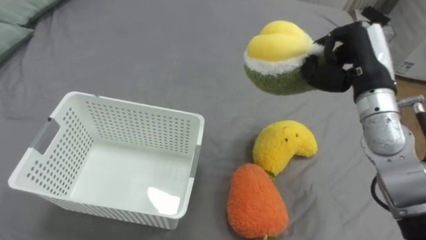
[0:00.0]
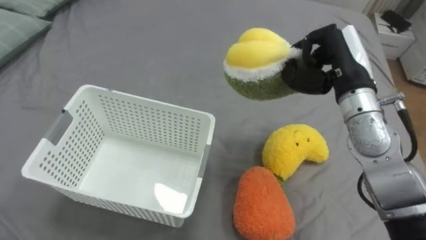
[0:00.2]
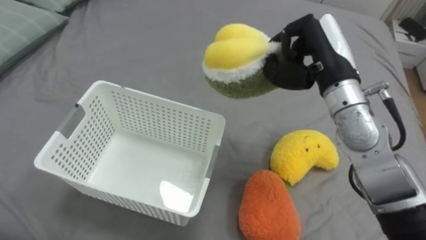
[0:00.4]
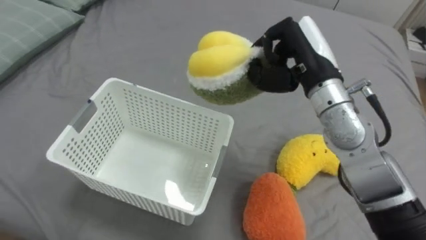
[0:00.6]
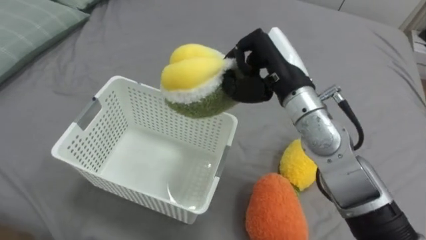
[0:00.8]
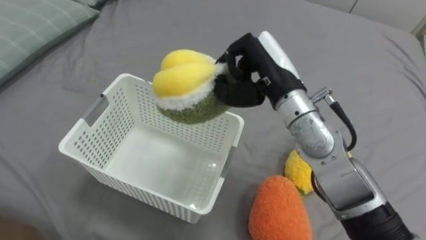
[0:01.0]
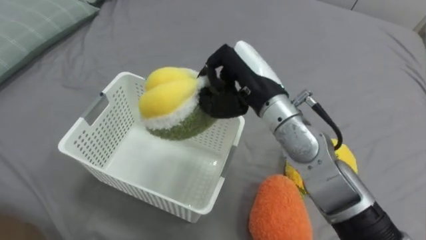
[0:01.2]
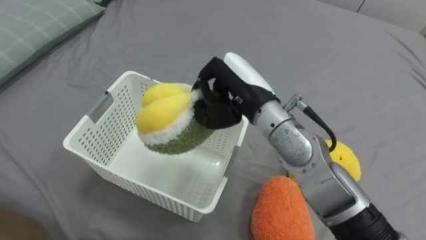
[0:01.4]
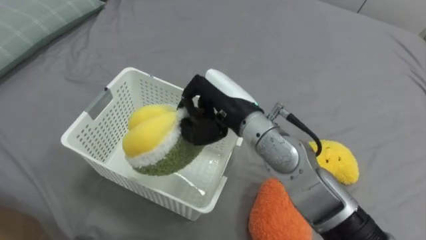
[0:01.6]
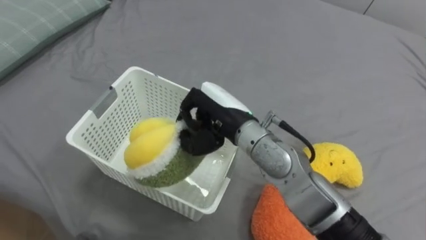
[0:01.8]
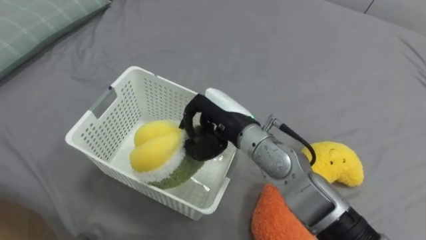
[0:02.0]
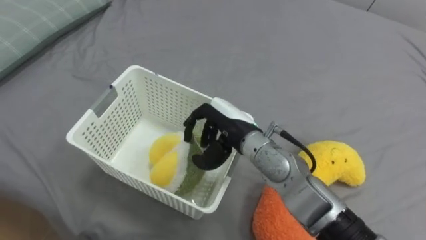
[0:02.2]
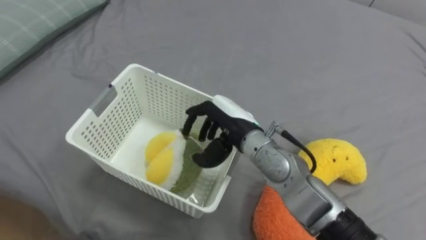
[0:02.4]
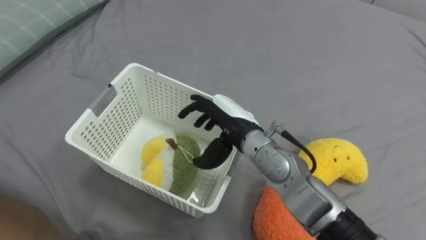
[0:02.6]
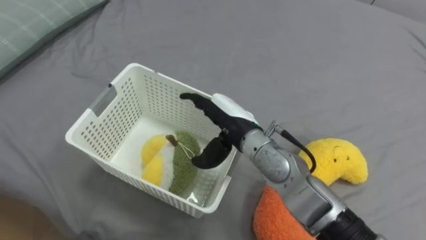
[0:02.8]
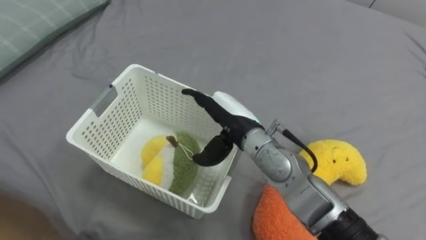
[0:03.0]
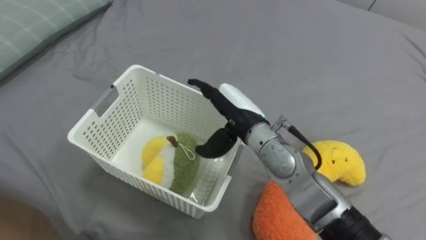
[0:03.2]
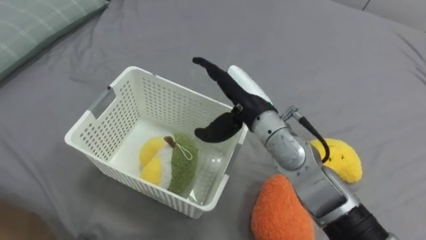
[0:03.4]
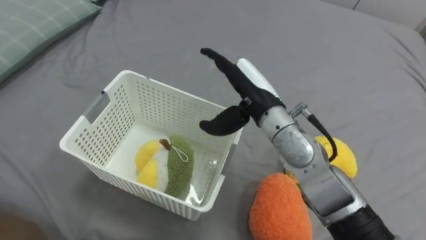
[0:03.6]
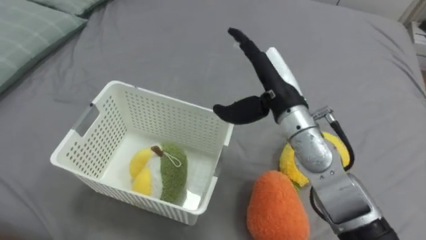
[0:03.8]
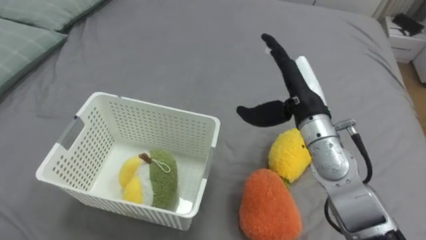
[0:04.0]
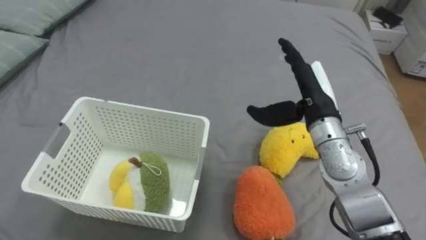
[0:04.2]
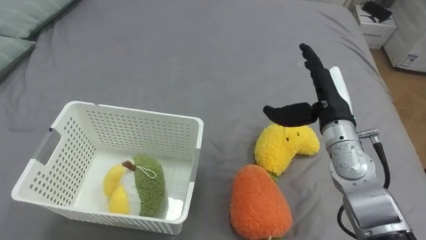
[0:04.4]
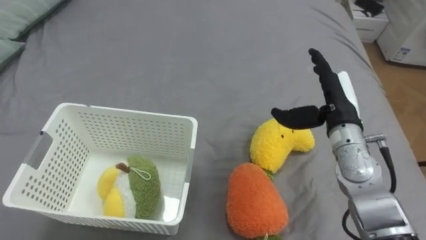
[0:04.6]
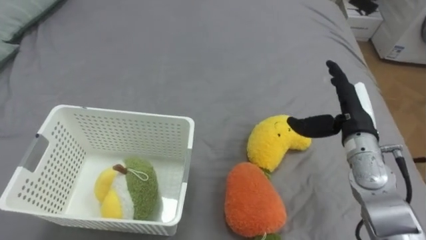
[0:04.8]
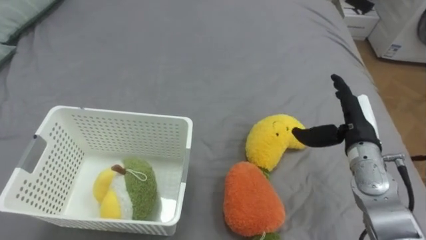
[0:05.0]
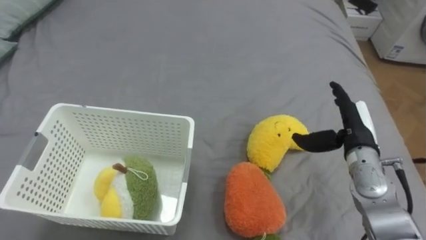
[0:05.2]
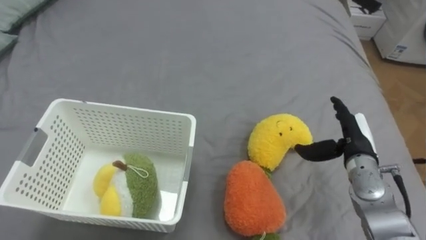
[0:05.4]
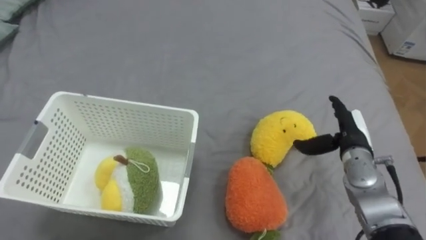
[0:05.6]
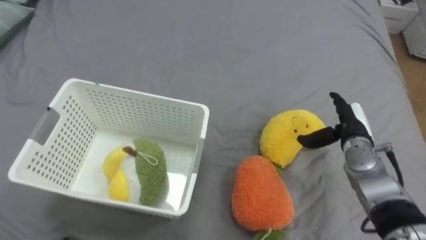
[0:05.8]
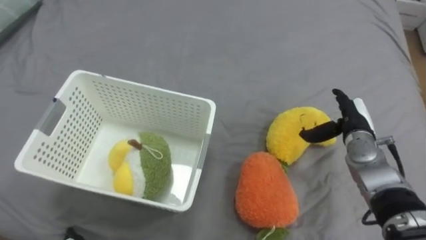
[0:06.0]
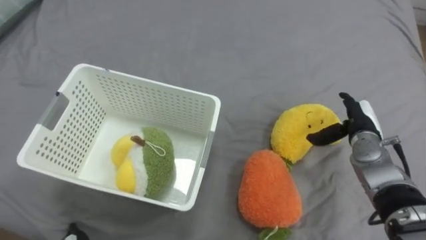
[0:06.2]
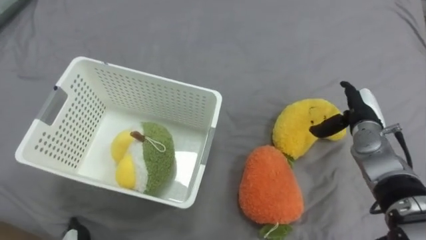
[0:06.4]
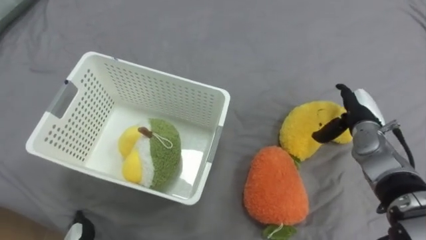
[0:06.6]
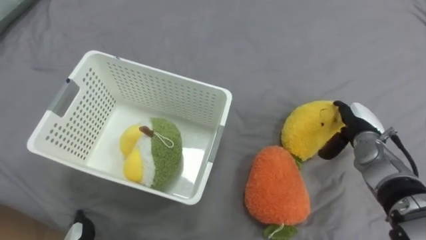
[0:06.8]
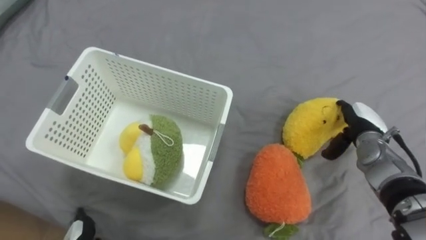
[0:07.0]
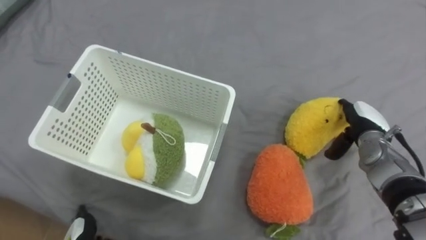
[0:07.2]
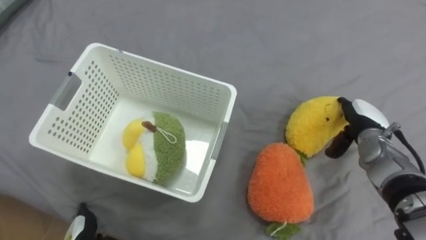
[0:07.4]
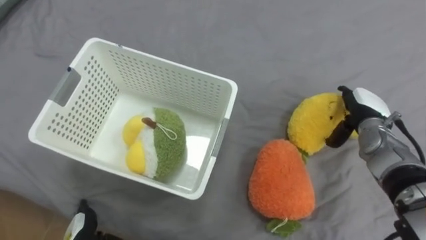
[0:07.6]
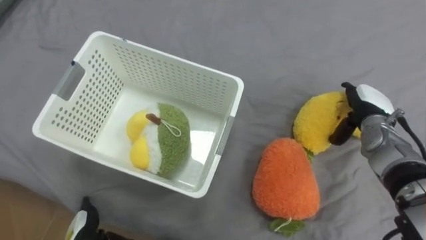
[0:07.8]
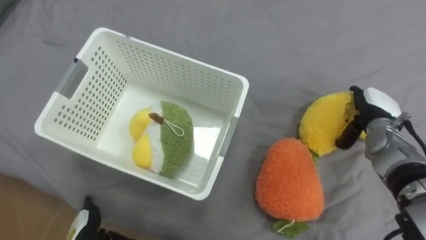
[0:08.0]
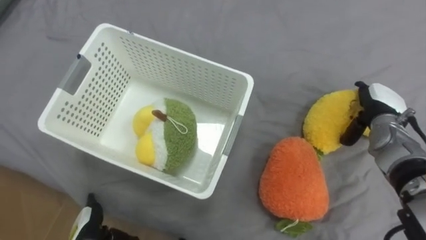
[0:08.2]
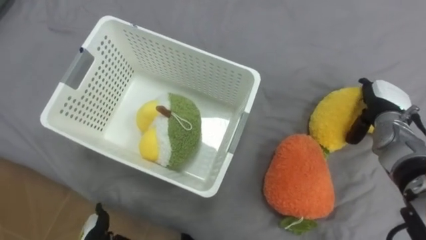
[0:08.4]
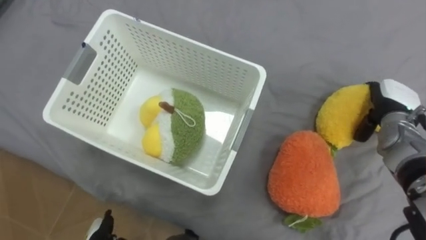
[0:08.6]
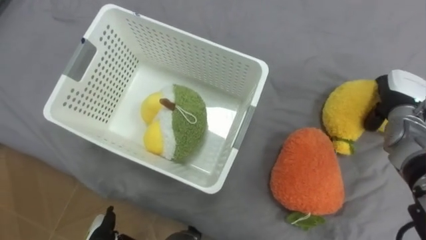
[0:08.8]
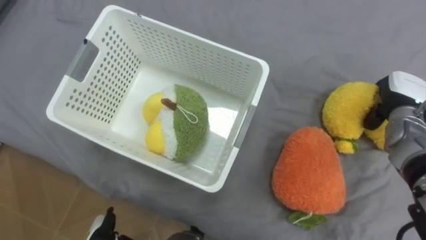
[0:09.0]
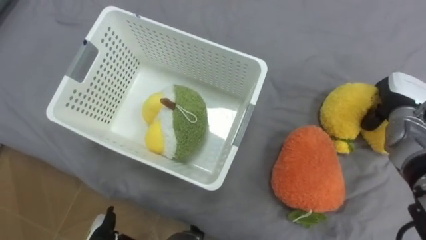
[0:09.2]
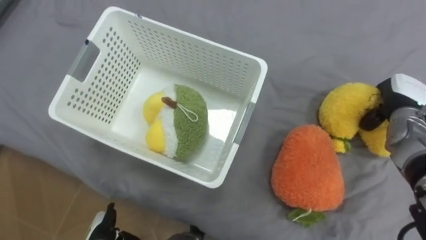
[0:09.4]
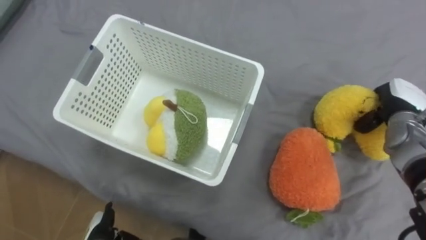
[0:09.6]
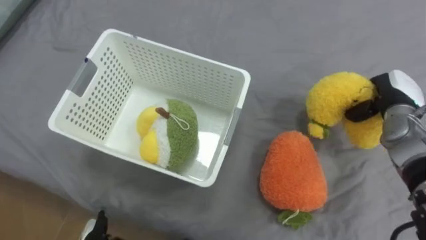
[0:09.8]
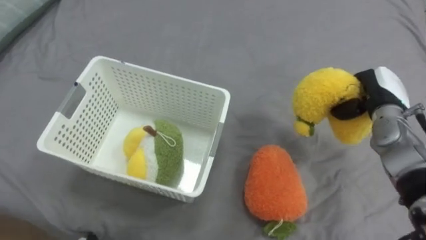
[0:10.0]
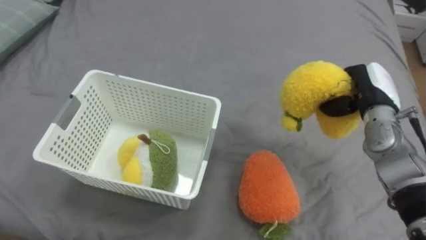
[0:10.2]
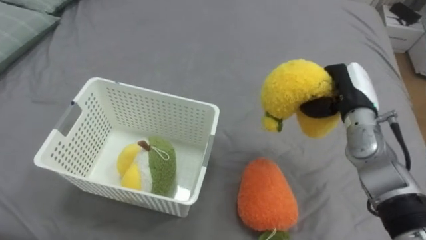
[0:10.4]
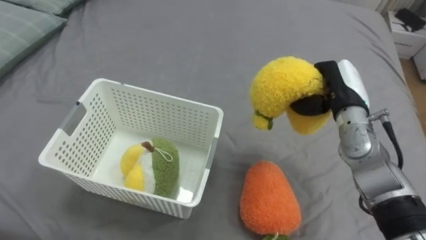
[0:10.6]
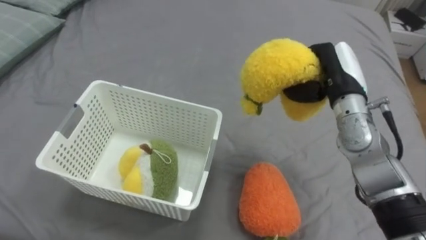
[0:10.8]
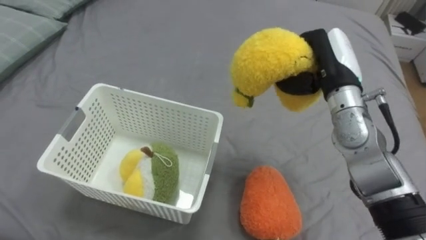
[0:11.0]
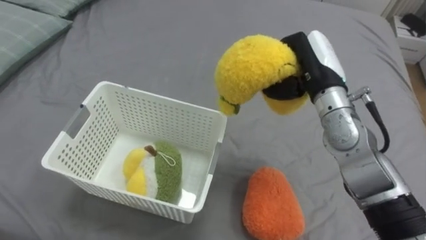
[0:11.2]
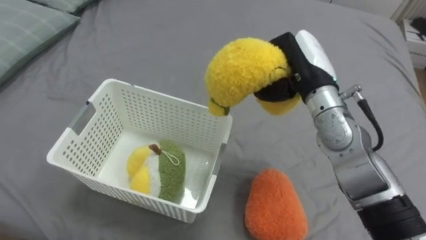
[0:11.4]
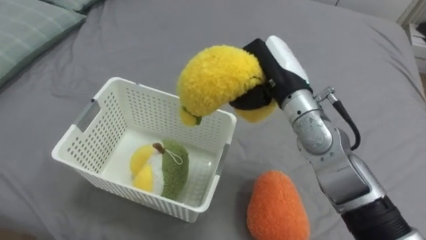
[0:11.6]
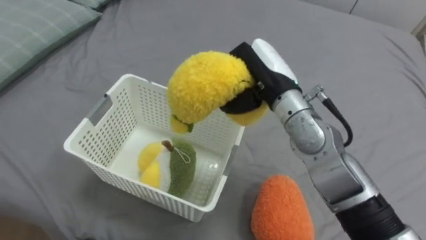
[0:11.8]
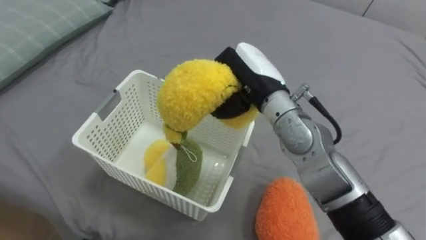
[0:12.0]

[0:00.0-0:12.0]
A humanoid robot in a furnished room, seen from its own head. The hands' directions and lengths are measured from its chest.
Task of the whole recording: Put the toys on the bed into the basket on the left.
0:00.0 to 0:01.6: The right hand shifts approximately 20 cm to the left.
0:01.6 to 0:03.0: The right hand shifts about 5 cm downward, and opens its fingers.
0:03.0 to 0:04.4: The right hand travels to the right by approximately 15 cm.
0:04.4 to 0:06.0: The right hand goes approximately 15 cm downward and to the right.
0:07.6 to 0:09.0: The right hand goes some 5 cm to the right, and closes up.
0:09.0 to 0:10.4: The right hand travels to the left by roughly 10 cm.
0:10.4 to 0:12.0: The right hand is displaced to the left by some 20 cm.

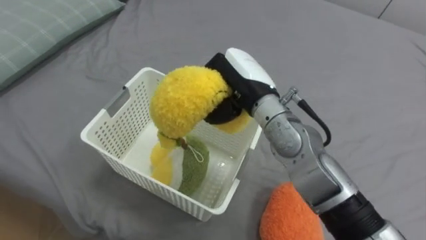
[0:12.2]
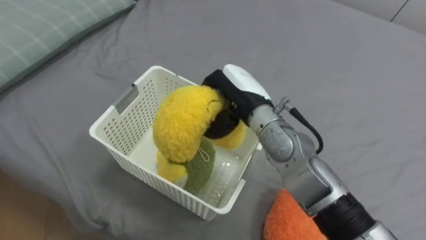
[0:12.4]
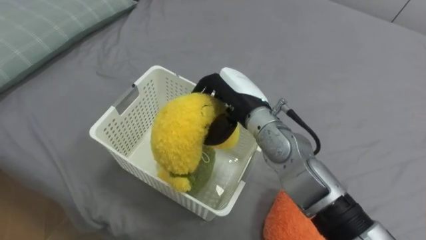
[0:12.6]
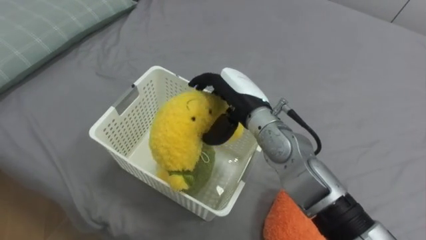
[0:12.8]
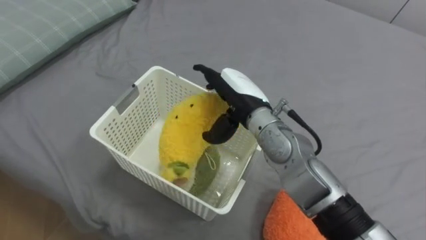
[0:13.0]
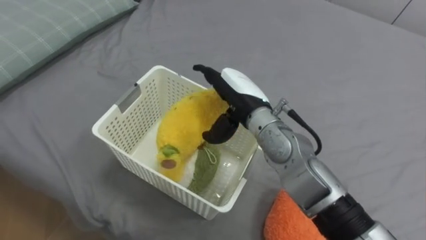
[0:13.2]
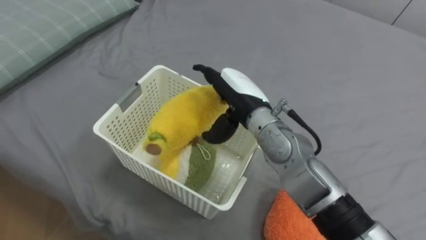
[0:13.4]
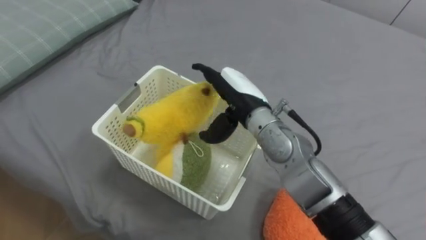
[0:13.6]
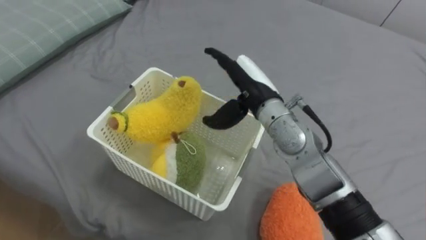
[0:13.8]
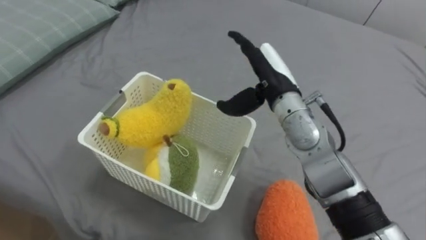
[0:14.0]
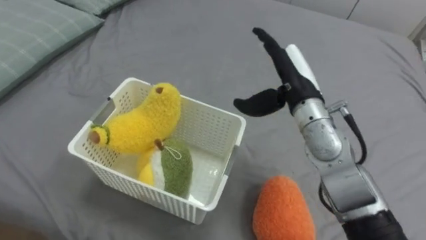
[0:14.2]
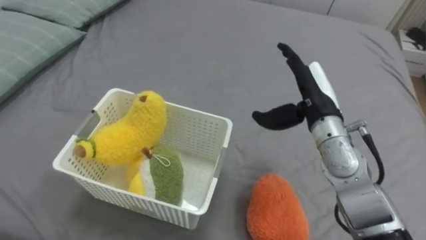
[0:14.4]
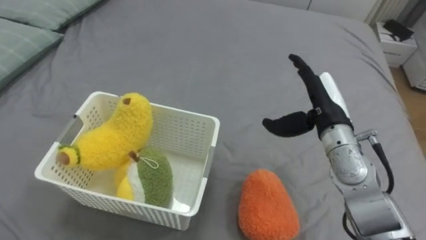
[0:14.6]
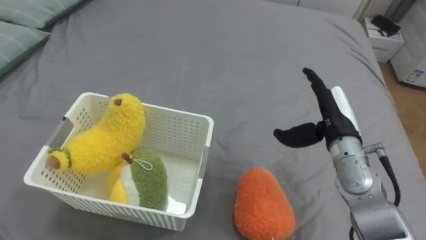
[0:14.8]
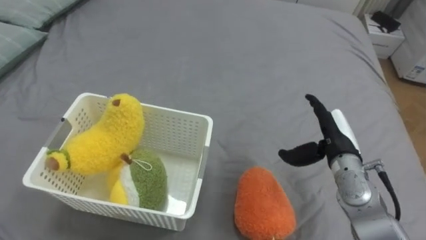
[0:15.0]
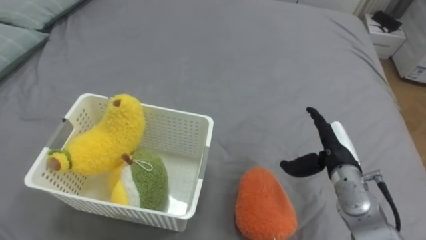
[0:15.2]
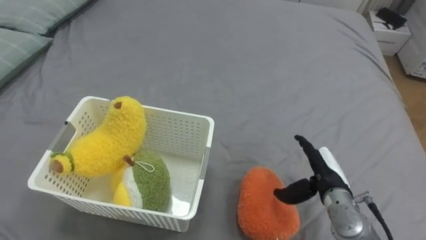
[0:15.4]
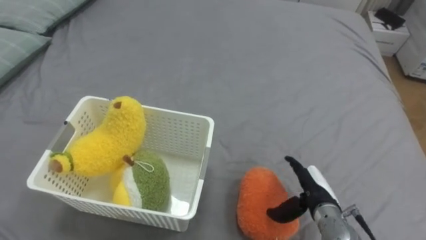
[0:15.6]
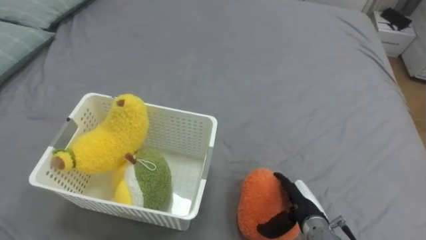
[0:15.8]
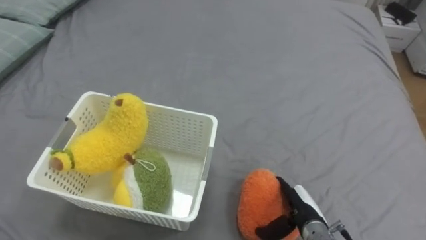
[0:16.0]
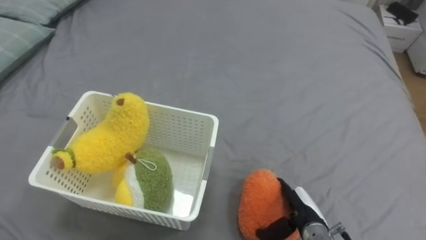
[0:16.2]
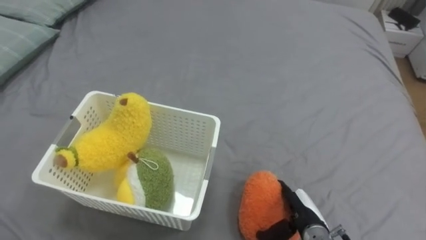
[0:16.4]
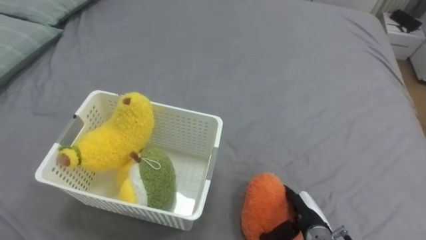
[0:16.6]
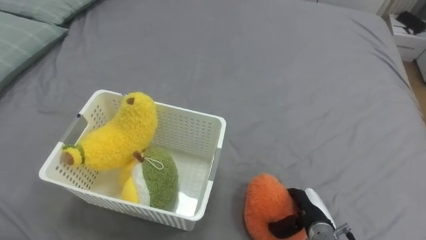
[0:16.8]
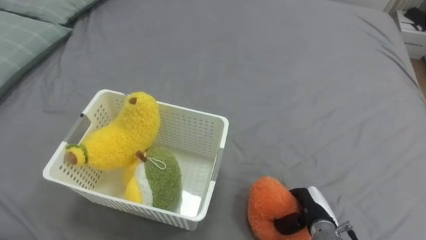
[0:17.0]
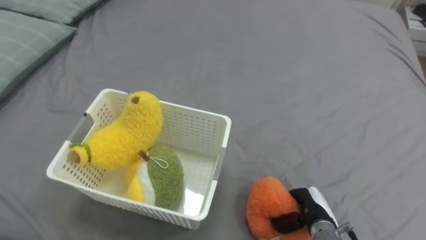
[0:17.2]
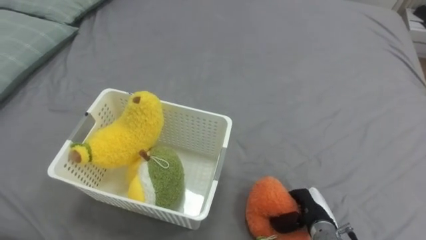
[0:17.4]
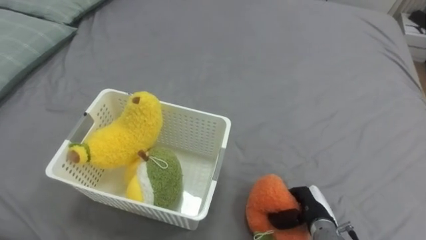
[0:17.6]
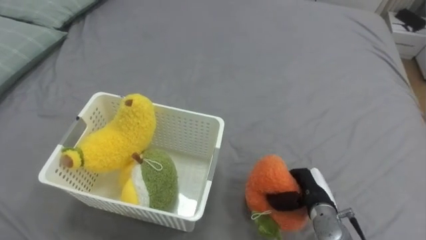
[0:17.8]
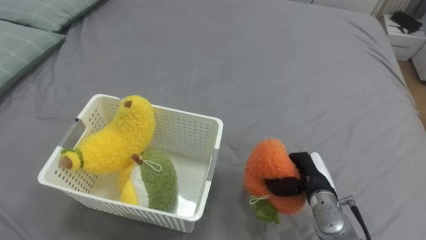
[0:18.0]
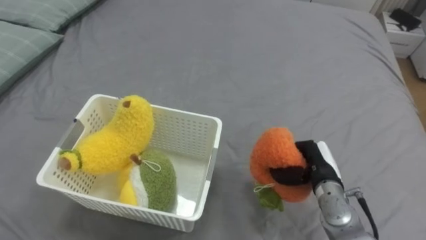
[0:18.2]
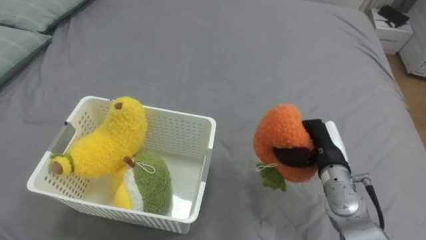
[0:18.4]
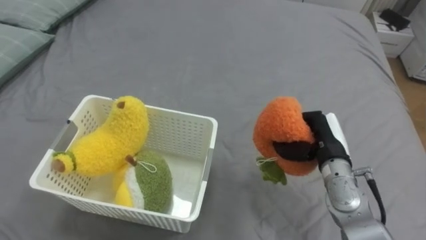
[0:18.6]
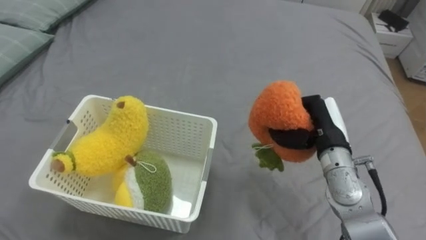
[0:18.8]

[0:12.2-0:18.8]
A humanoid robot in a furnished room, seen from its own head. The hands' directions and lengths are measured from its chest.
Task of the whole recording: Put the toys on the bed into the basket on the left.
0:12.2 to 0:13.8: The right hand opens up.
0:13.8 to 0:15.4: The right hand moves to the right, downward and backward, approximately 25 cm.
0:15.4 to 0:17.2: The right hand heads downward, covering approximately 10 cm, and closes up.
0:17.2 to 0:18.8: The right hand heads upward and forward, covering approximately 20 cm.
